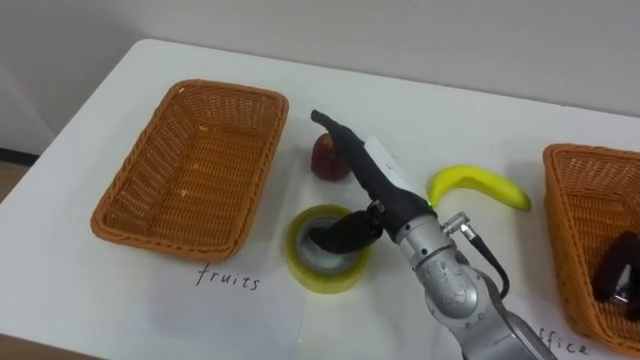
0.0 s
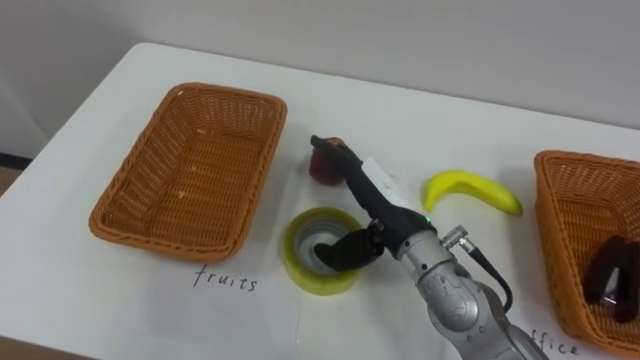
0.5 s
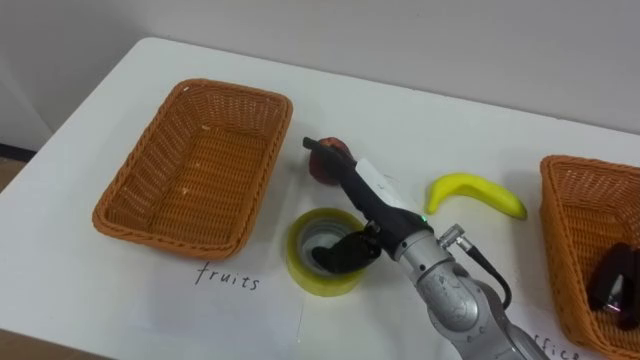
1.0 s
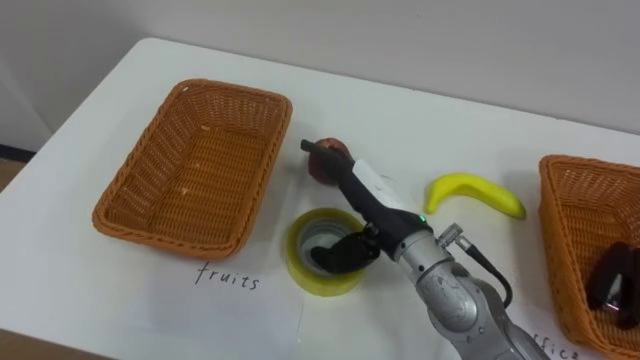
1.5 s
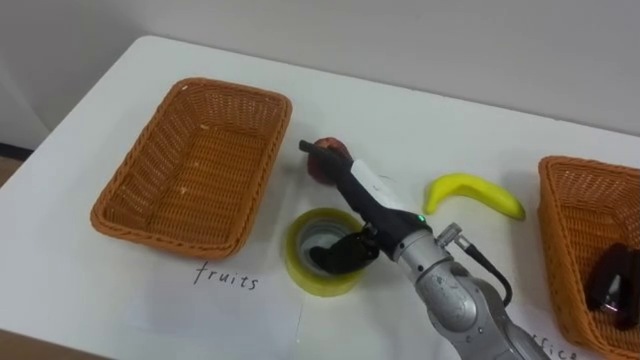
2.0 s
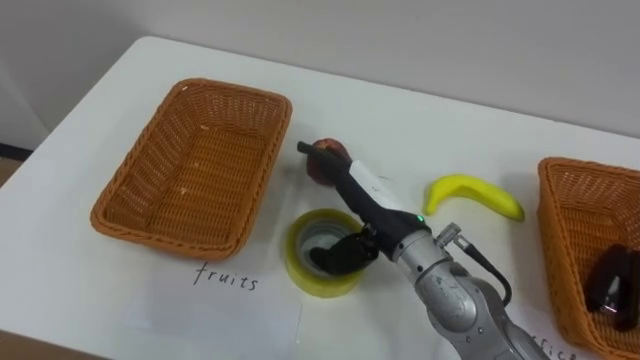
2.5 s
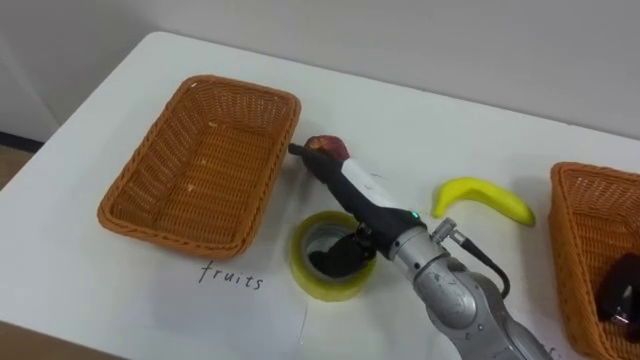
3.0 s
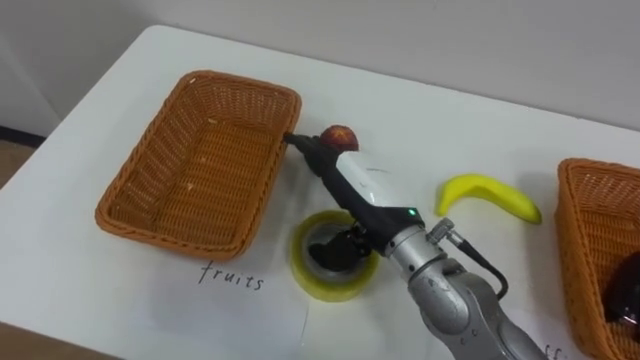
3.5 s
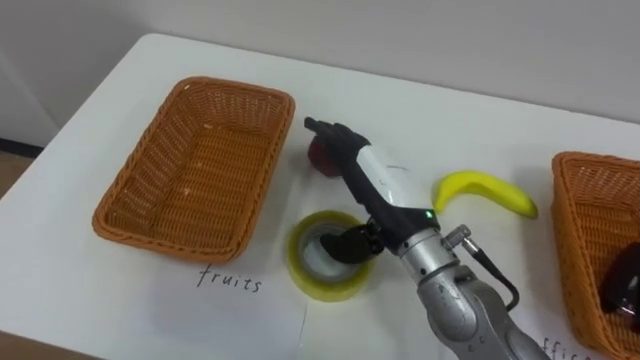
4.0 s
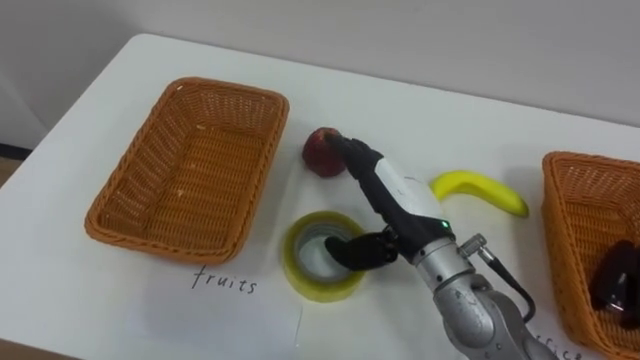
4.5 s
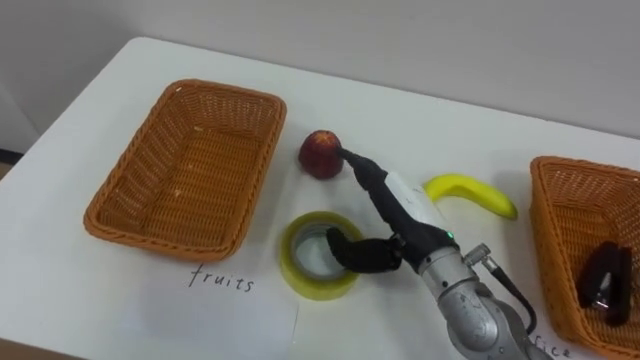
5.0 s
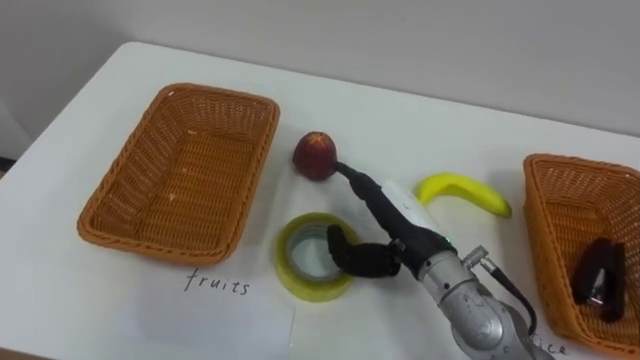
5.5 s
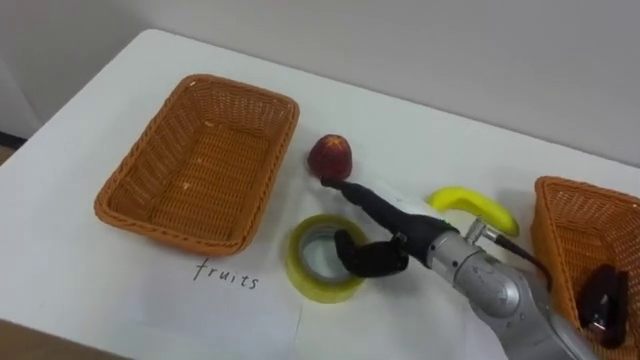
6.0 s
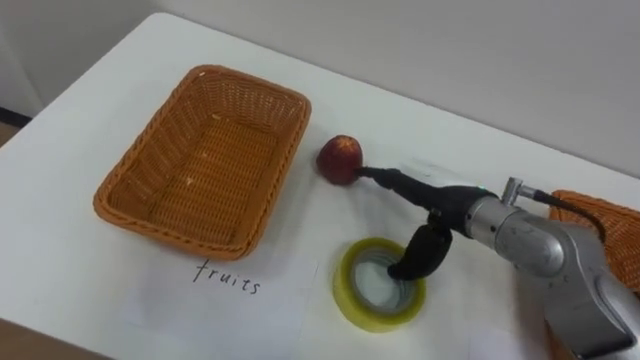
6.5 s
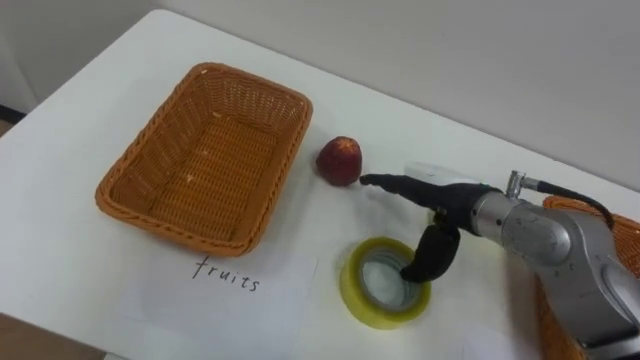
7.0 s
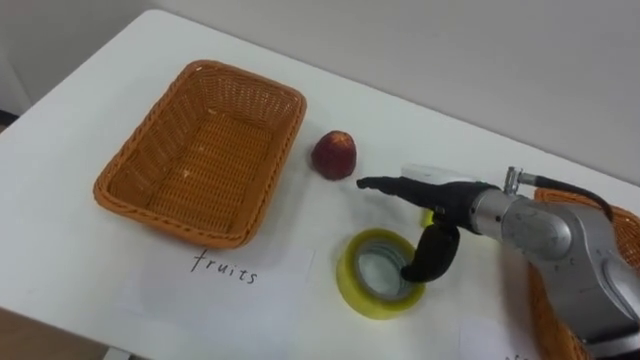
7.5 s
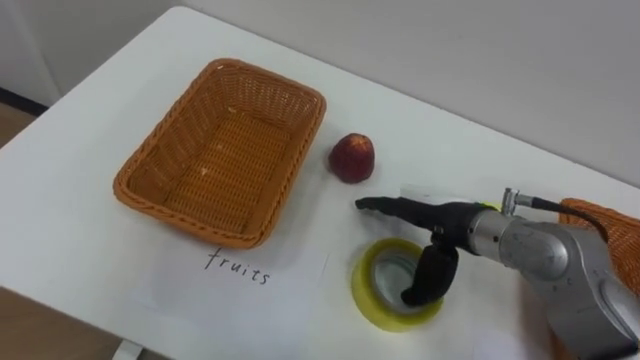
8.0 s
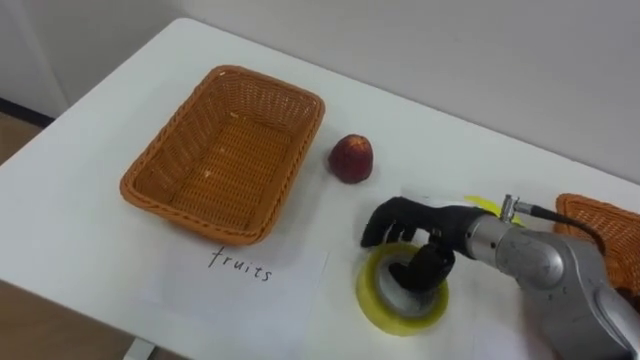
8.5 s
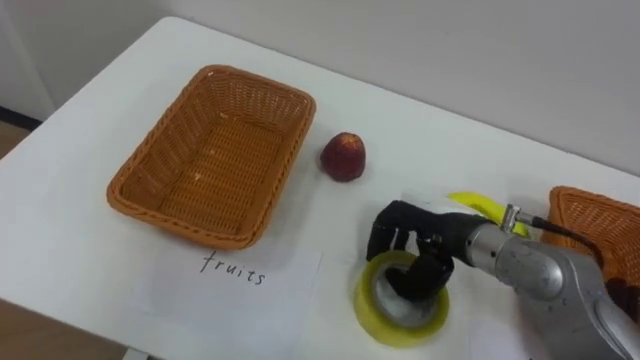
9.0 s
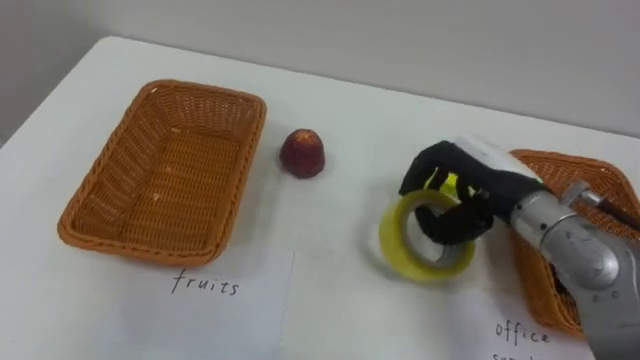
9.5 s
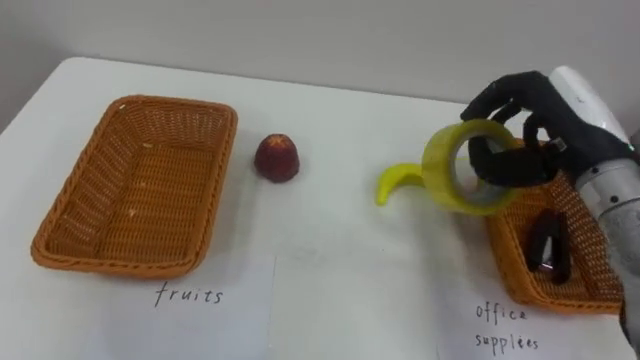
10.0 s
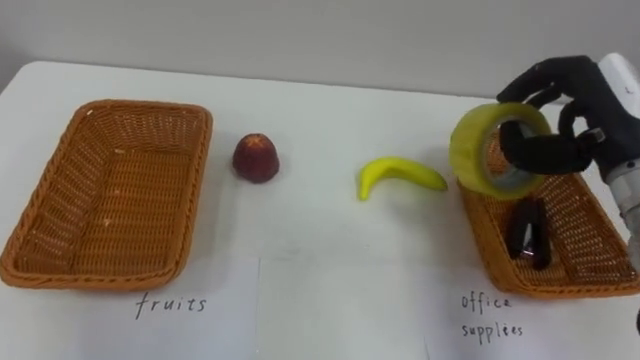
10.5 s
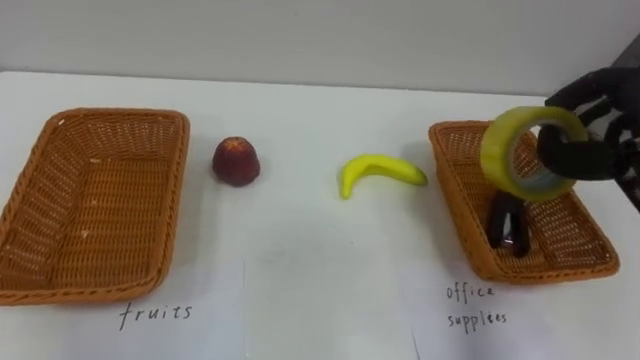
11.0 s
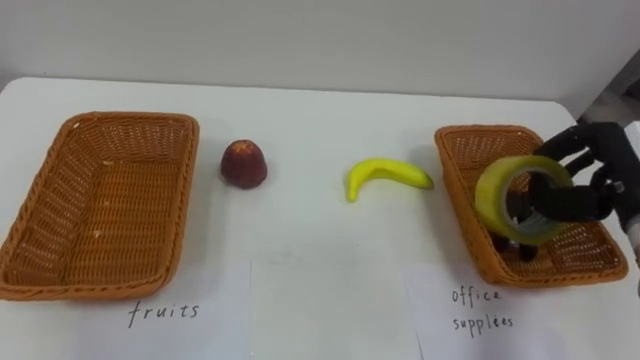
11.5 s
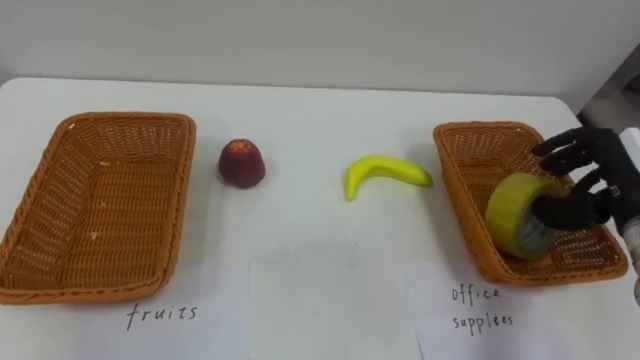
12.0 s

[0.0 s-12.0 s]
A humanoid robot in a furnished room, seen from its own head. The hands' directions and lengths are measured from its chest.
Task of the whole recording: Separate the items on the table and place them into the two baskets.
4.0 to 6.0 s: The right hand is displaced downward by roughly 5 cm.
8.0 to 10.0 s: The right hand travels to the right and upward by approximately 15 cm, and closes.

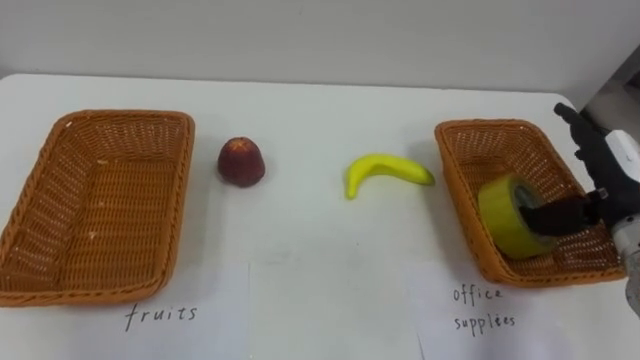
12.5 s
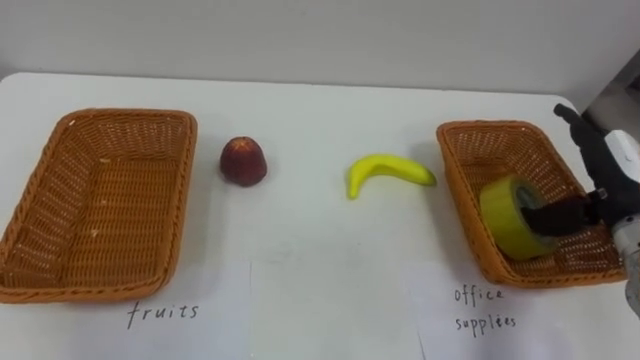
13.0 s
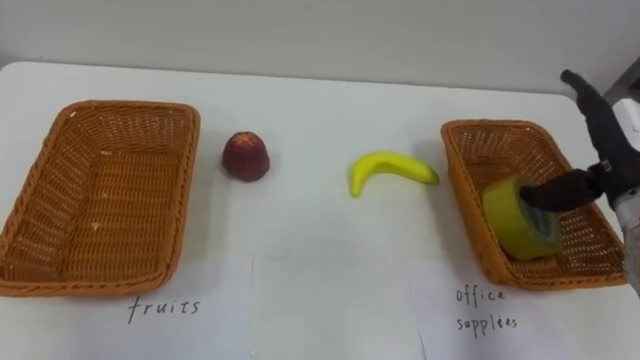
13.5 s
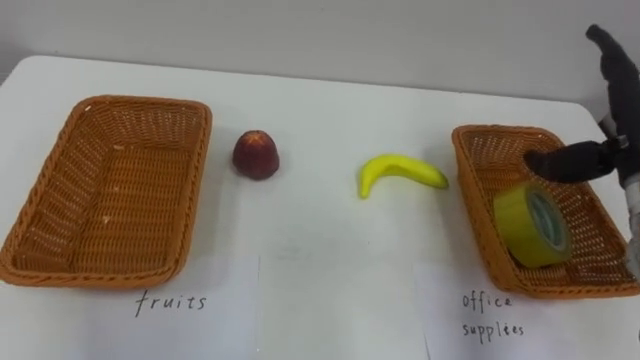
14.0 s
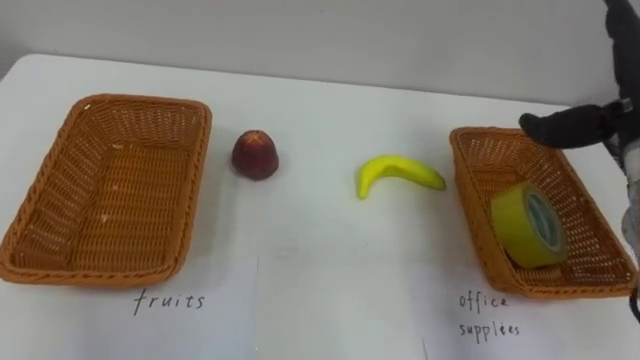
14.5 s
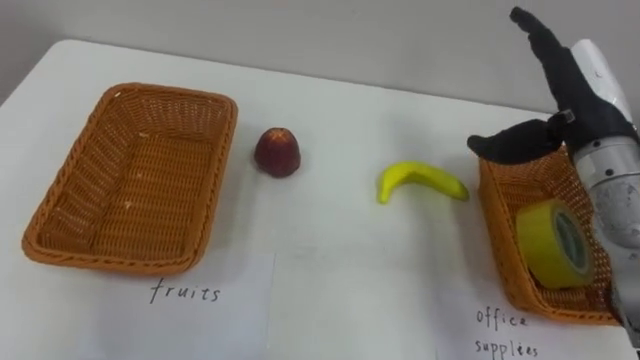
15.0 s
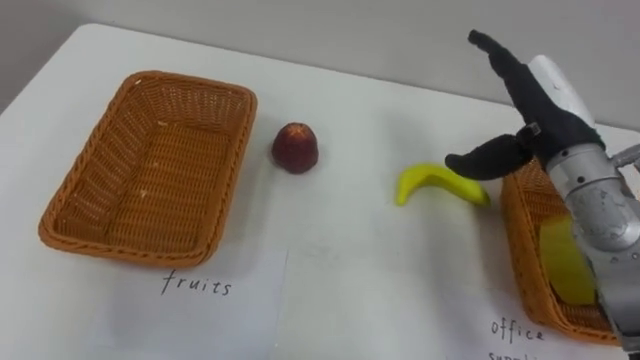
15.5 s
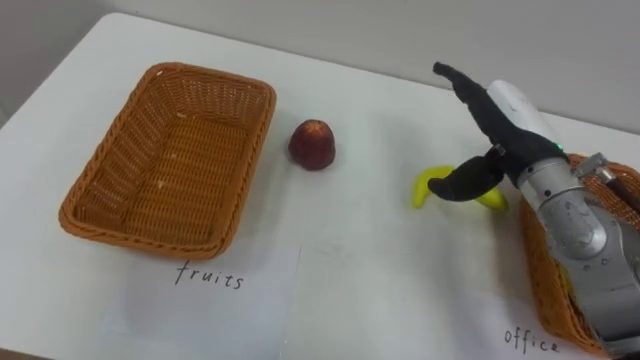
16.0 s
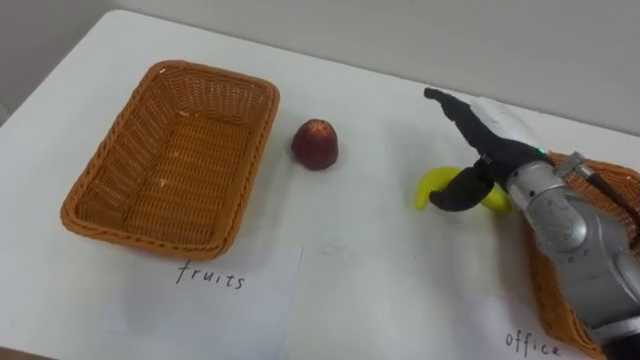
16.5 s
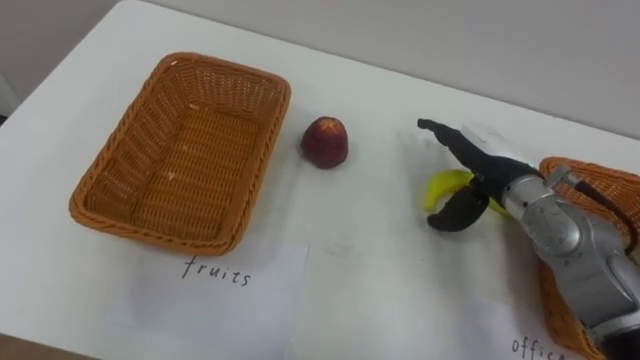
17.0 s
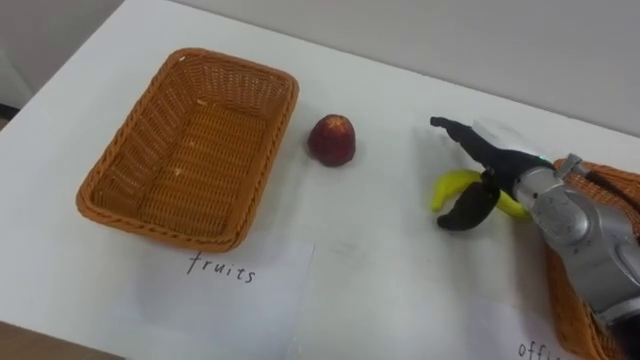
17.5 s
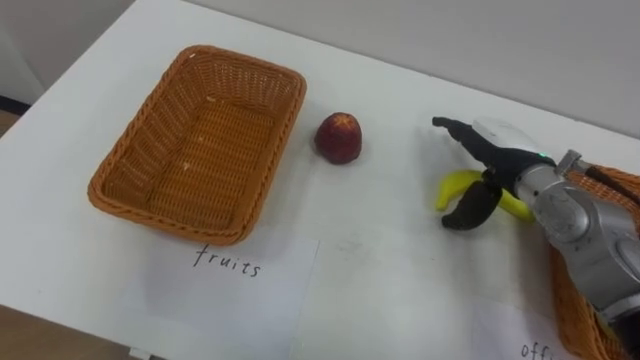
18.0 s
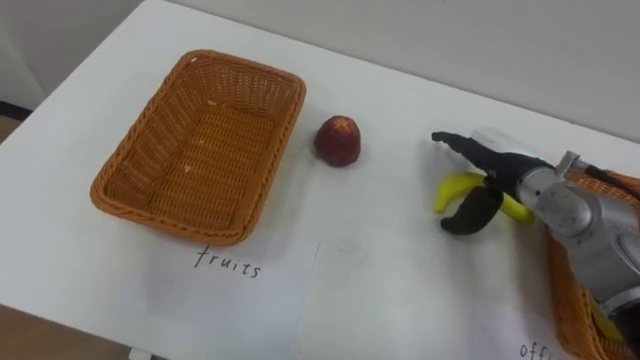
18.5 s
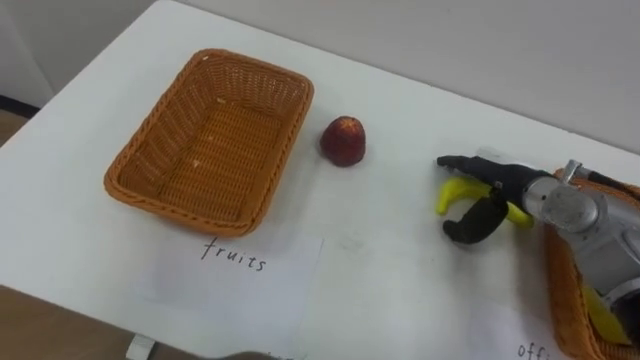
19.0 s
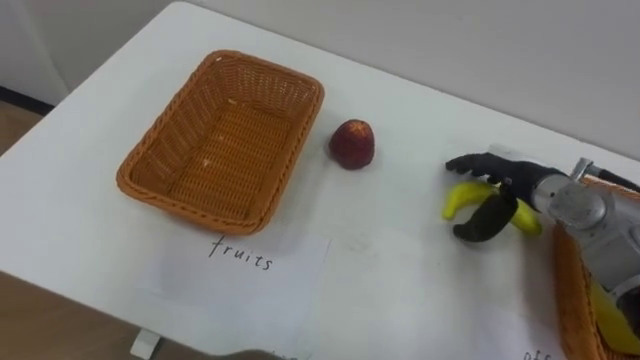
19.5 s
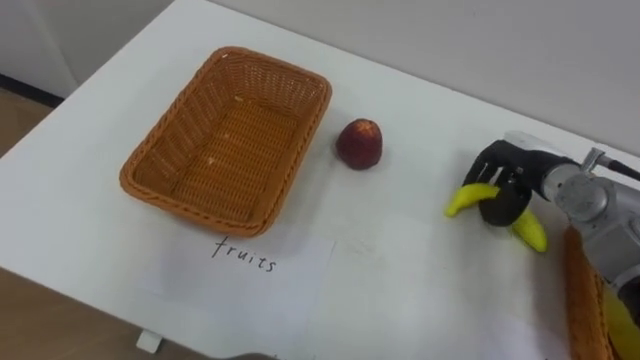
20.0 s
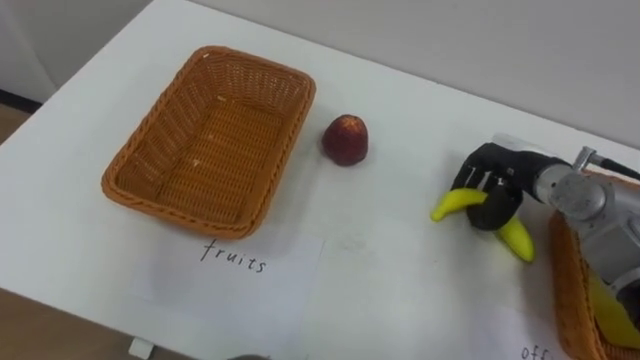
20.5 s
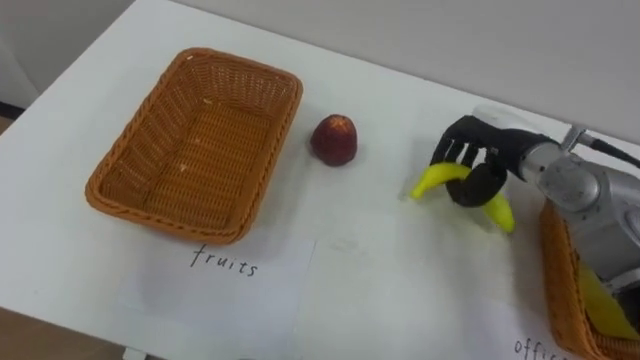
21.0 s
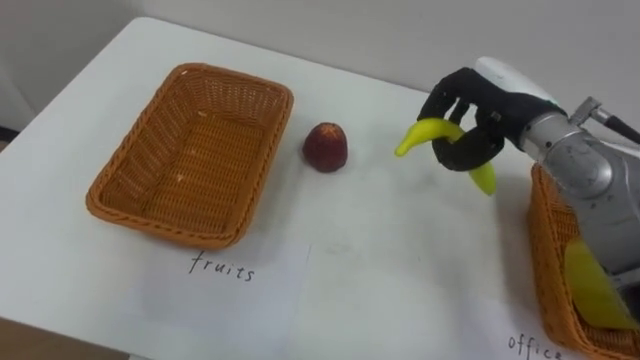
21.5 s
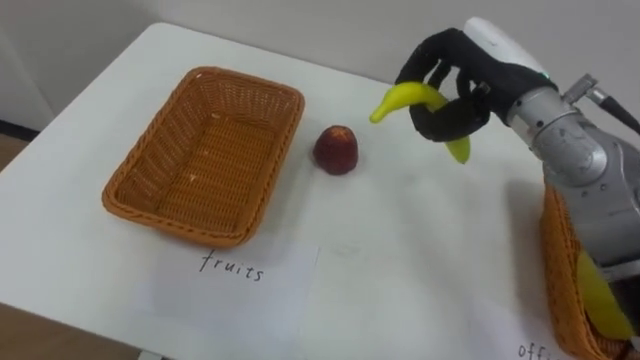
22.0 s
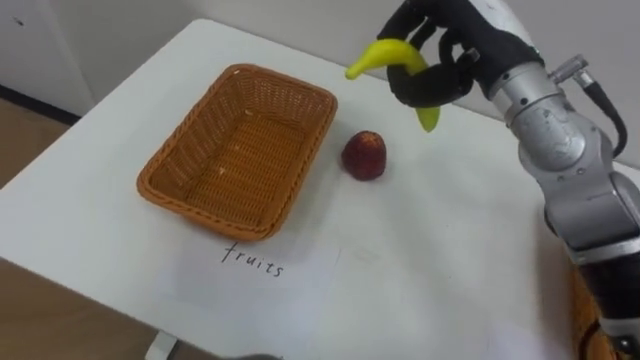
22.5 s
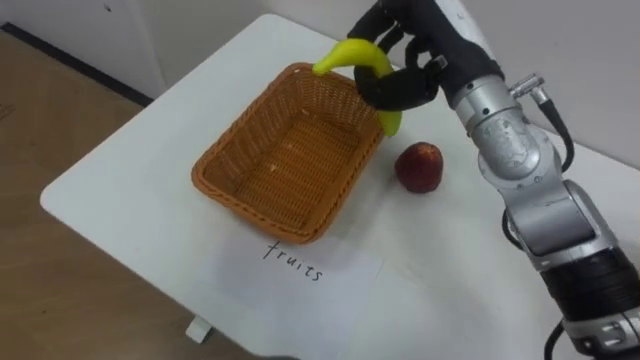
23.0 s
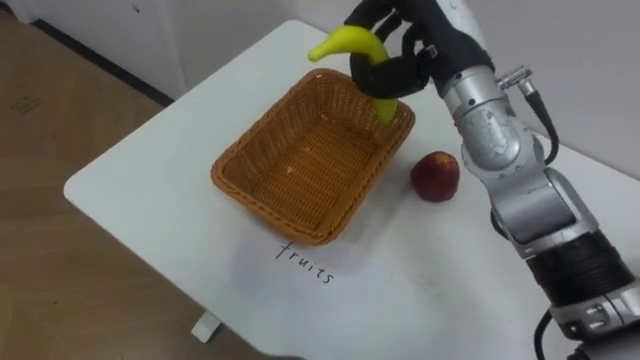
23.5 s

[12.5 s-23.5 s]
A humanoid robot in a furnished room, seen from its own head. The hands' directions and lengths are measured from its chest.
Task of the whole recording: Separate the items on the table and place them into the two baskets.
12.5 to 14.5 s: The right hand travels upward by some 10 cm.
14.5 to 16.0 s: The right hand is displaced to the left and downward by some 10 cm.
16.0 to 18.0 s: The right hand goes roughly 5 cm downward.
18.0 to 20.0 s: The right hand shifts by about 5 cm, and closes its fingers.
20.0 to 21.5 s: The right hand heads upward and to the left, covering roughly 10 cm.
21.5 to 23.5 s: The right hand moves to the left and upward, about 10 cm.
